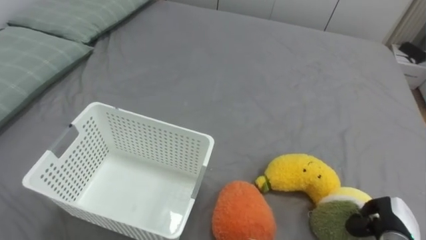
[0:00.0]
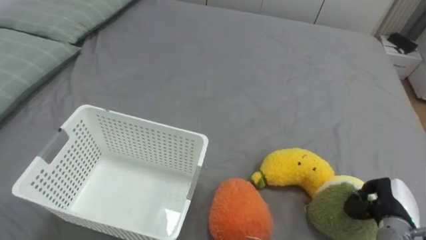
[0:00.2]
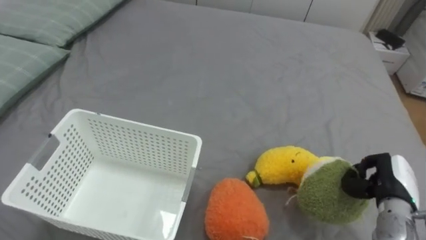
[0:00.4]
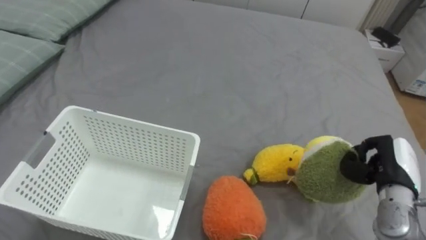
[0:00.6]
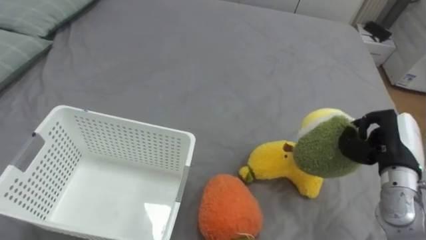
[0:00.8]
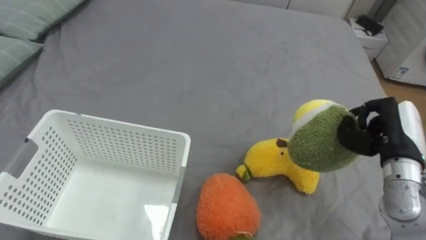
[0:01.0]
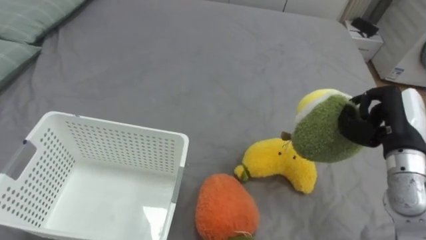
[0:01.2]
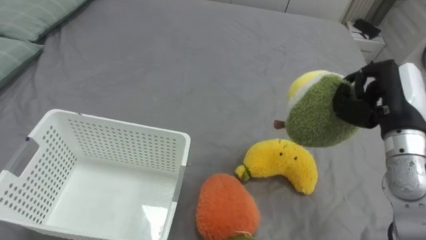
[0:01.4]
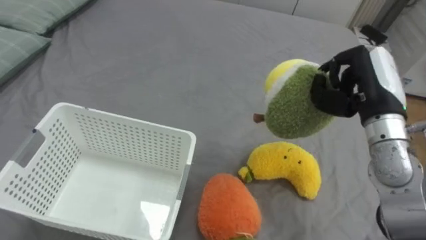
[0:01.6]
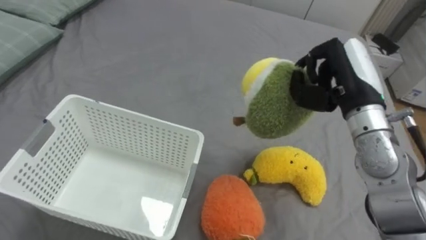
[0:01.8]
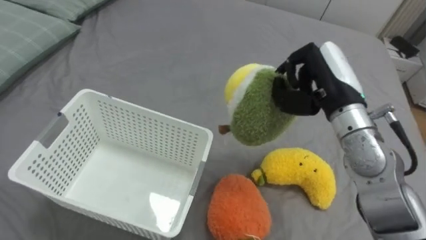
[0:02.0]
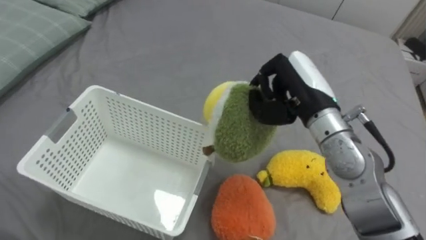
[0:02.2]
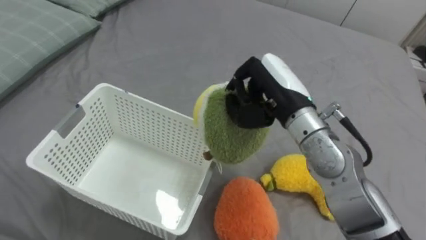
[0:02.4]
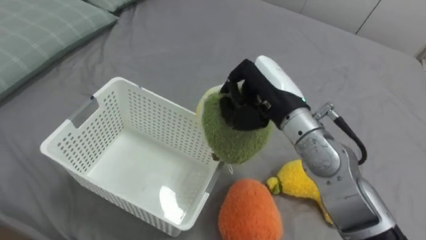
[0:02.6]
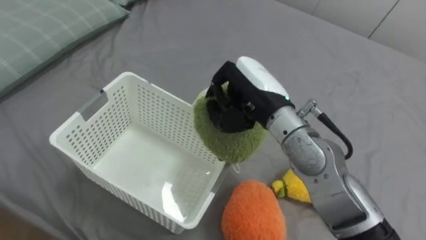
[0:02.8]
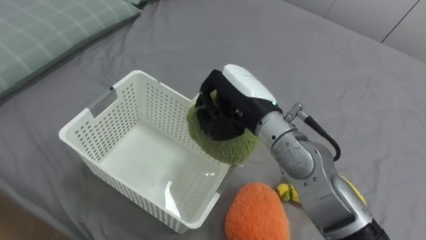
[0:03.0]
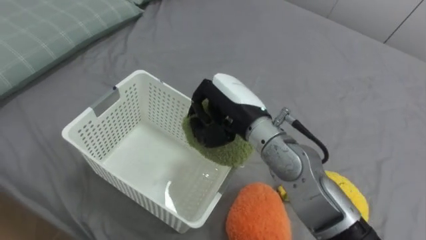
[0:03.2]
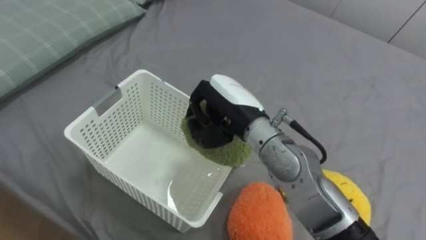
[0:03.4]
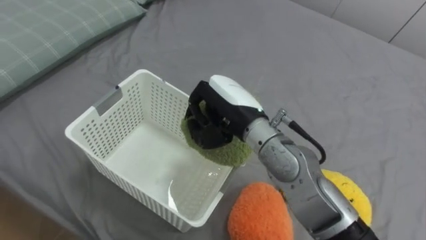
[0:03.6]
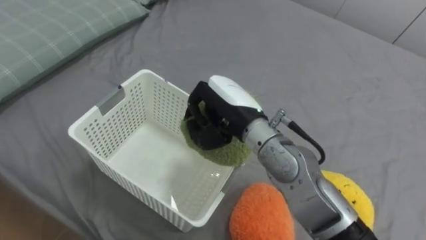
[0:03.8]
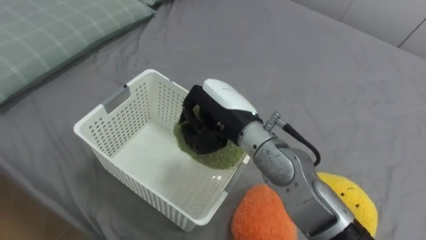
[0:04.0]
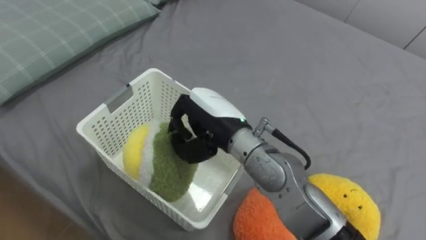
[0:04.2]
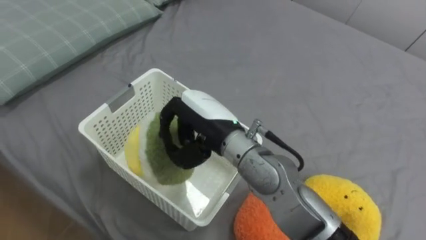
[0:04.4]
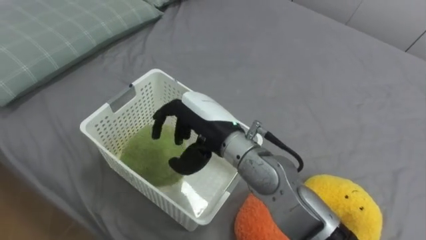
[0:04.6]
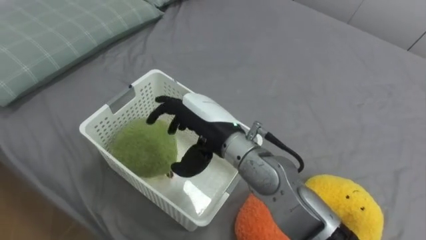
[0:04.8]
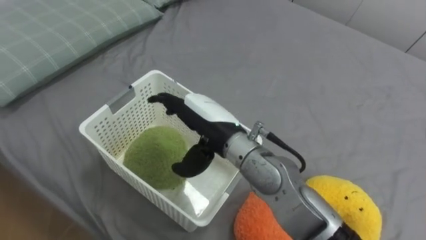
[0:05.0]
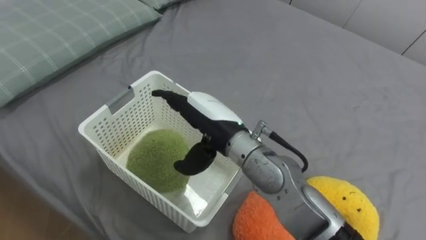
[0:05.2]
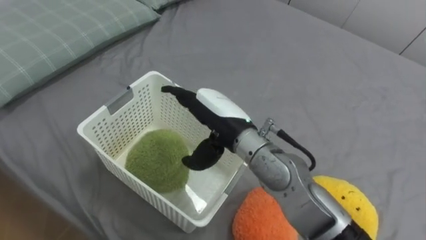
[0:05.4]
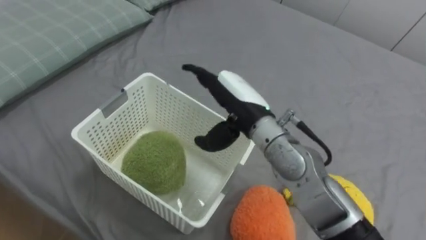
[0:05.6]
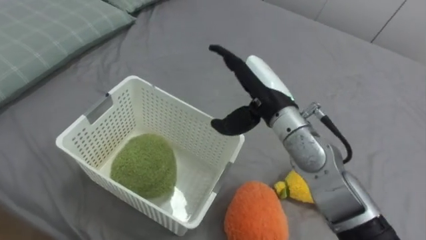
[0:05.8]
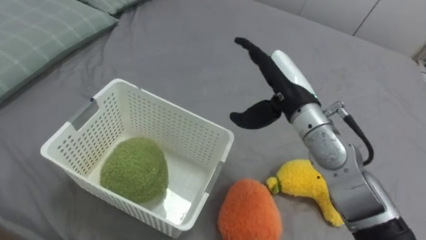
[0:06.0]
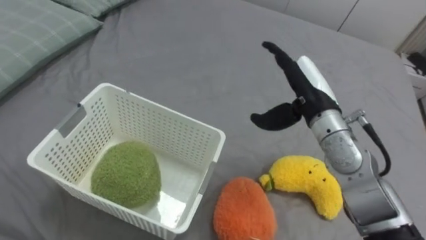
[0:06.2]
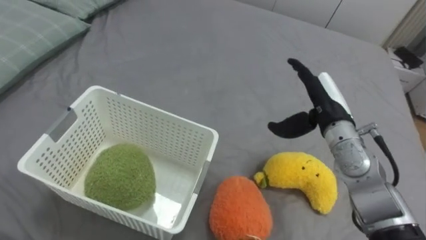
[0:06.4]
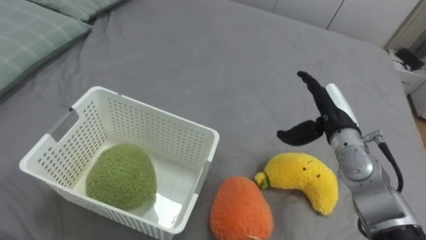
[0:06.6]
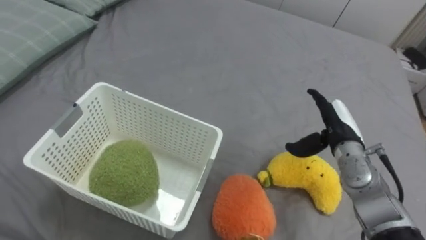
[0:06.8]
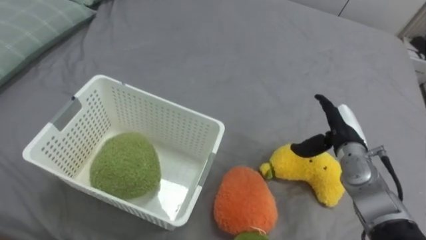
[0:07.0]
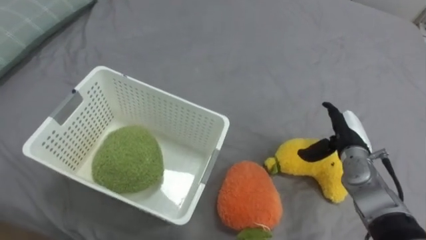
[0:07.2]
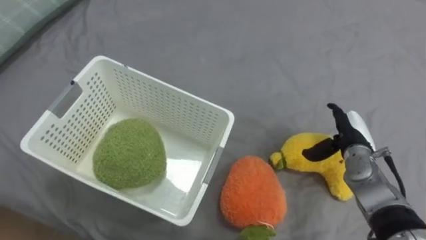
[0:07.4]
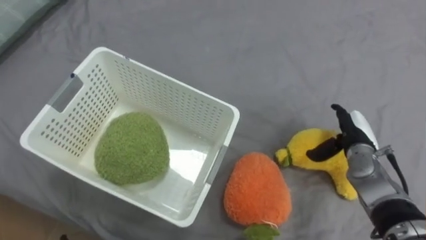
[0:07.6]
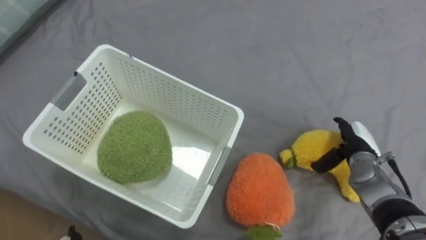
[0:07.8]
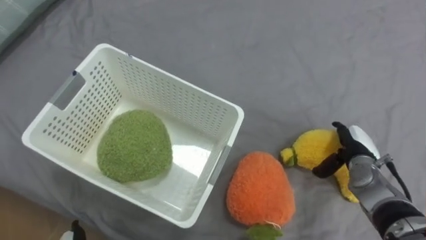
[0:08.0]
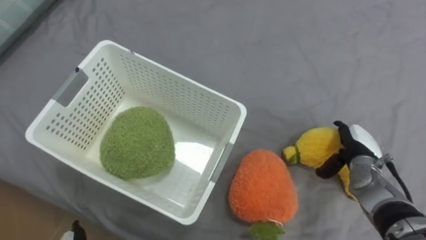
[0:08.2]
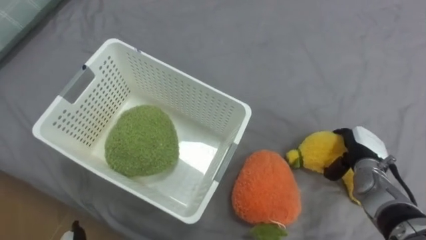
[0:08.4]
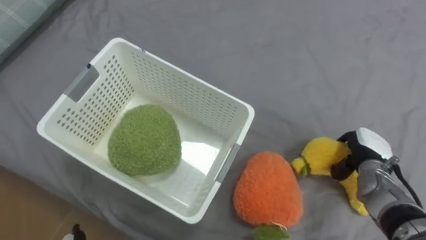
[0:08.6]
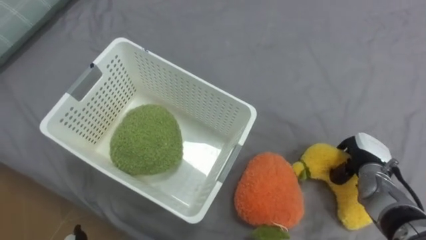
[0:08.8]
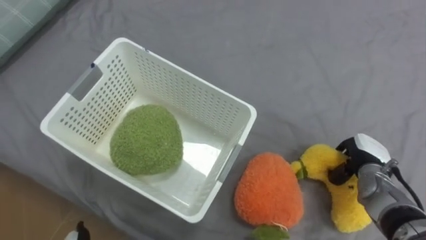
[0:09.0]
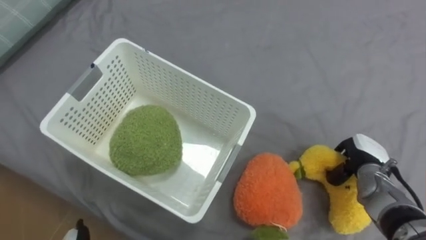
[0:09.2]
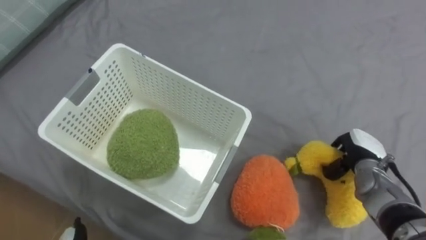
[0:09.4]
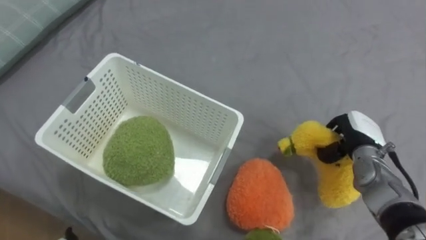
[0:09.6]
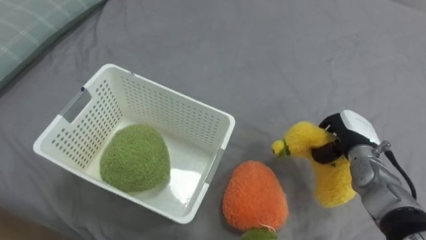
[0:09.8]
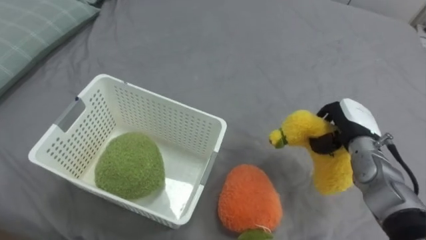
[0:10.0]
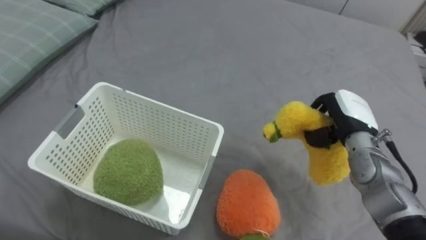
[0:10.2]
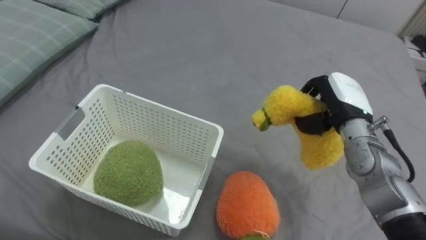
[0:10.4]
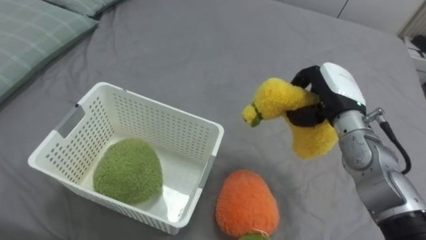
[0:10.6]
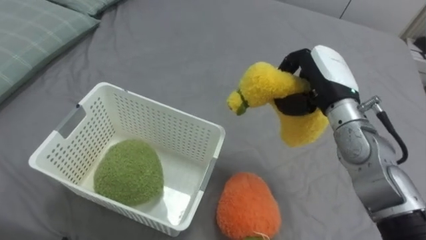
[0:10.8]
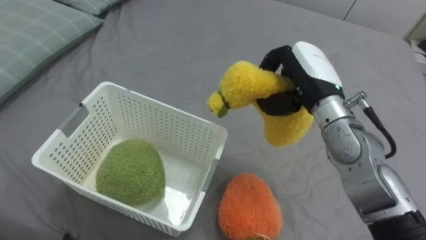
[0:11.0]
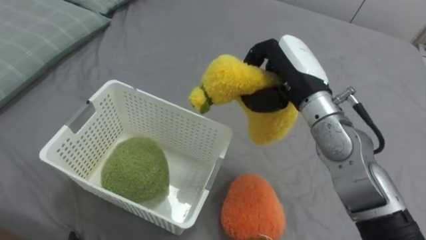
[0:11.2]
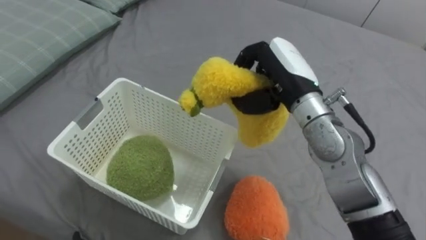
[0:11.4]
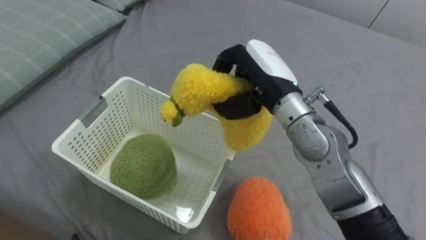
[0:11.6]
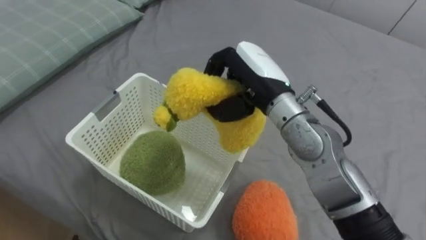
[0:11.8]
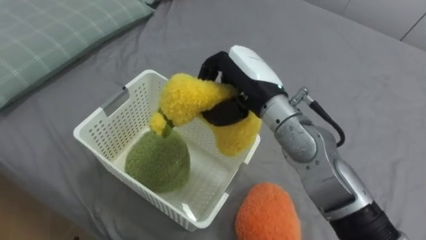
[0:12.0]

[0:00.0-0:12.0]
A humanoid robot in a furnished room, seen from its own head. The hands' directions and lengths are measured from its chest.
Task of the whole recording: Put the toys on the bed into the basket on the left.
0:00.0 to 0:01.6: The right hand goes some 30 cm upward and forward.
0:01.6 to 0:03.0: The right hand heads to the left, covering approximately 20 cm.
0:03.0 to 0:04.4: The right hand travels to the left by roughly 5 cm.
0:04.4 to 0:06.0: The right hand moves to the right and forward, about 15 cm, and opens its fingers.
0:06.0 to 0:07.6: The right hand is displaced to the right and downward by approximately 25 cm.
0:07.6 to 0:09.0: The right hand moves about 5 cm, and closes up.
0:09.0 to 0:10.4: The right hand heads upward and to the left, covering some 15 cm.
0:10.4 to 0:12.0: The right hand travels to the left and upward by approximately 20 cm.

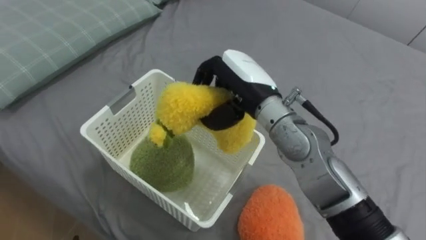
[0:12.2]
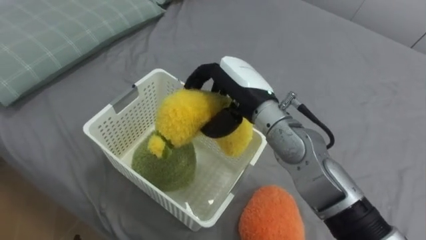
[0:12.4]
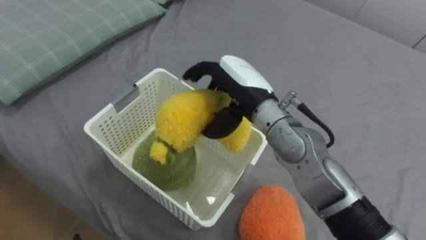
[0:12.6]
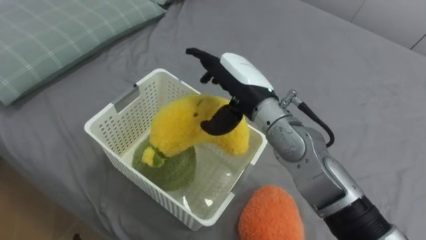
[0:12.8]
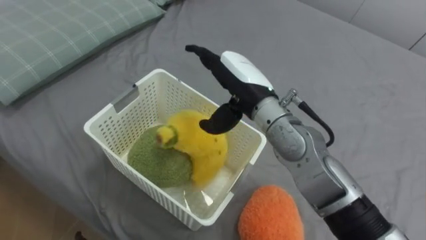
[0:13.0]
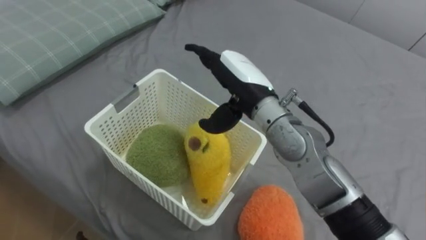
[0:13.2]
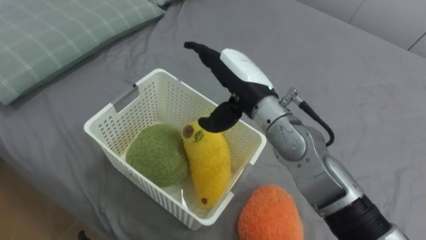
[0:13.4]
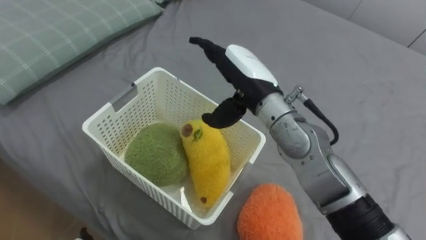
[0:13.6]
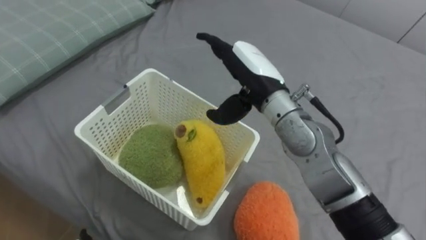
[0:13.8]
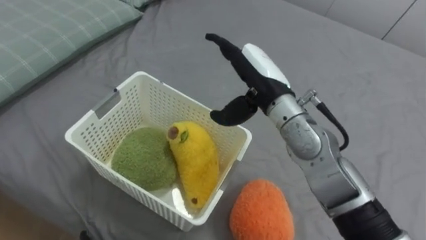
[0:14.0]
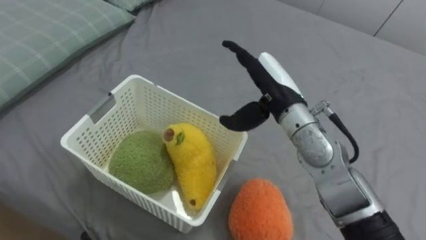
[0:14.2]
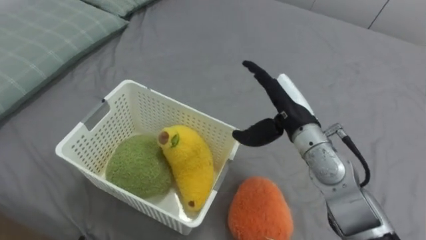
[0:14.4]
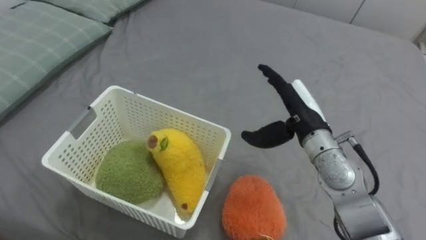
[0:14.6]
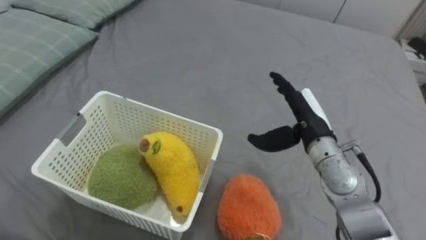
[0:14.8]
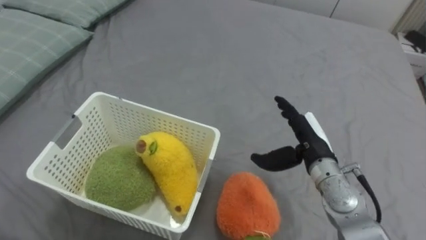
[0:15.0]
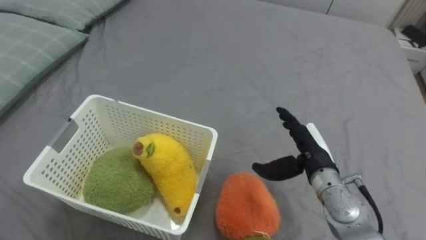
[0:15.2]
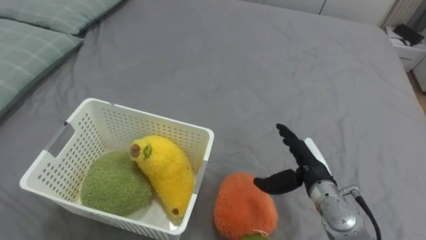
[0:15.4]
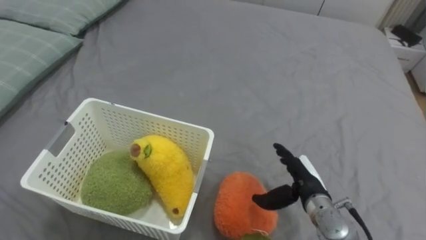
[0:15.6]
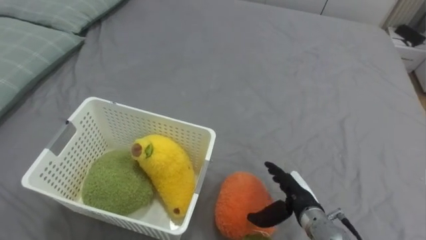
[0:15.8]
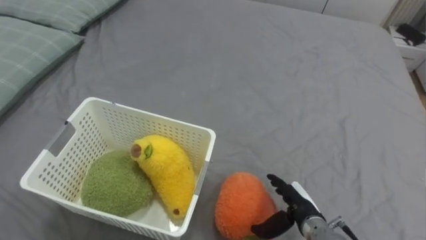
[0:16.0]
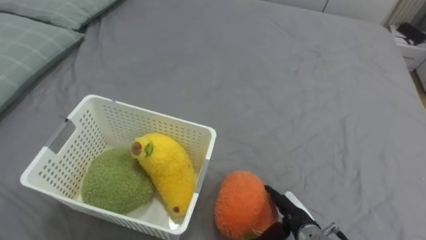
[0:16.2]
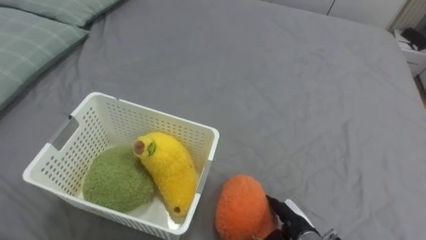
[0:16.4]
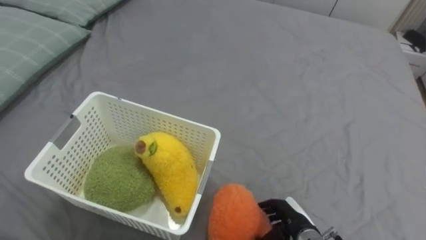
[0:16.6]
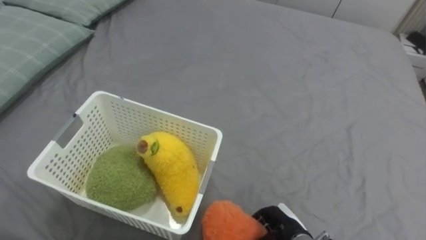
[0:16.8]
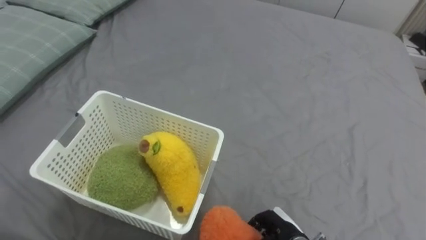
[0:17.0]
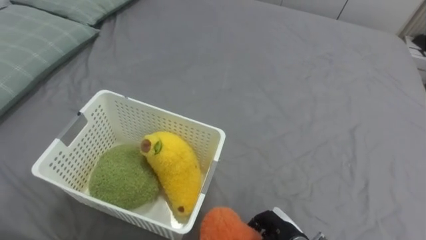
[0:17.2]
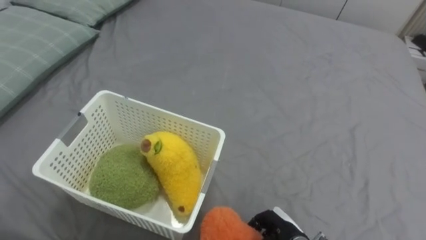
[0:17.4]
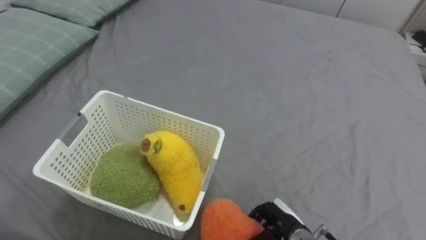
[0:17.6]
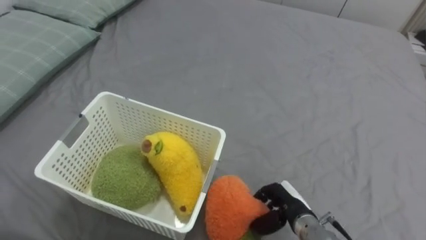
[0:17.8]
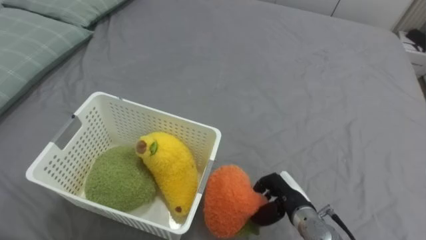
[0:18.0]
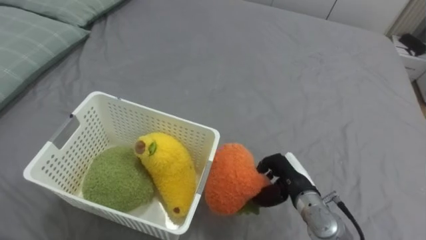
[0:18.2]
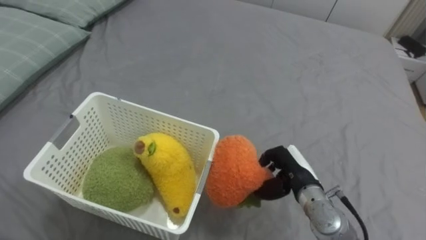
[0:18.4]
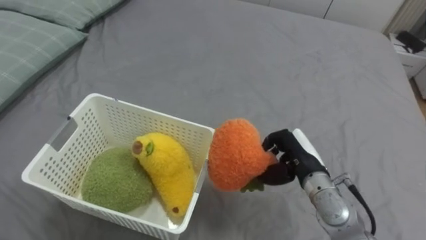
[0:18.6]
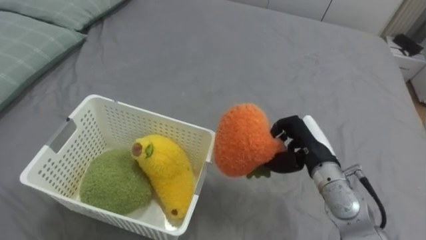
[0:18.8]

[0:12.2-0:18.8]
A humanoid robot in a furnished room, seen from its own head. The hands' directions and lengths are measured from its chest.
Task of the whole recording: Put the toys on the bed into the basket on the left.
0:12.2 to 0:13.8: The right hand opens its fingers.
0:13.8 to 0:15.4: The right hand shifts roughly 20 cm downward and to the right.
0:15.4 to 0:17.2: The right hand moves downward and backward, roughly 15 cm, and closes up.
0:17.2 to 0:18.8: The right hand shifts approximately 20 cm upward and forward.
